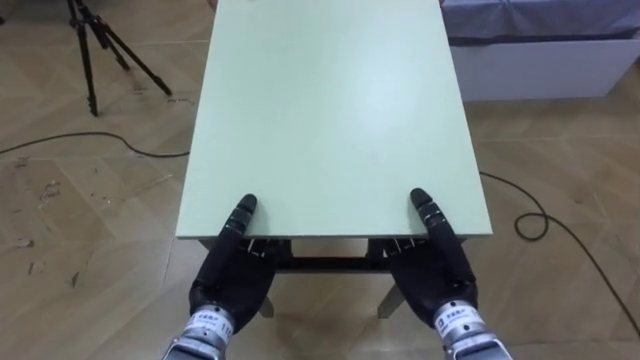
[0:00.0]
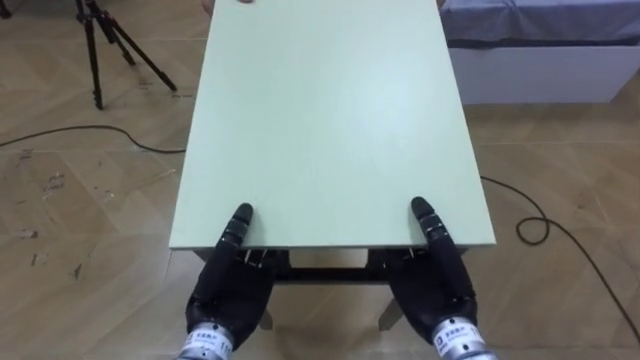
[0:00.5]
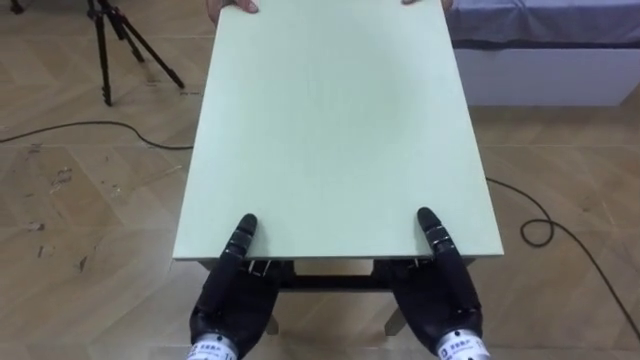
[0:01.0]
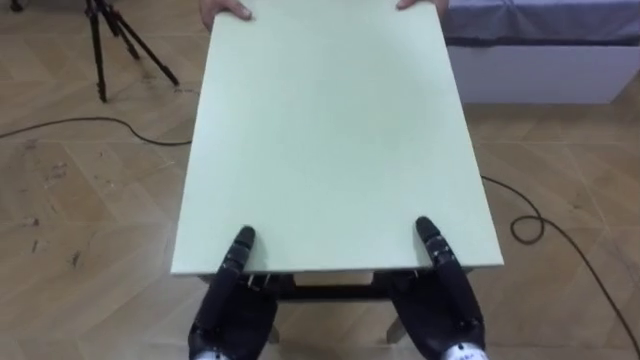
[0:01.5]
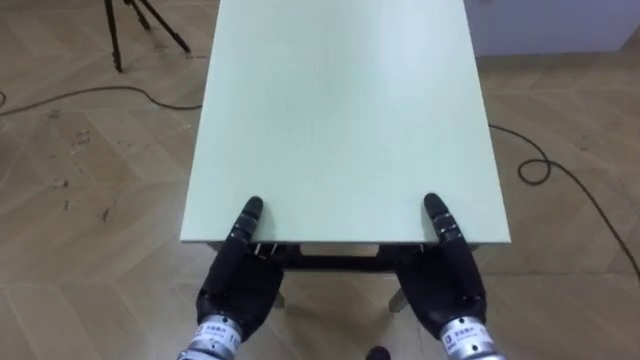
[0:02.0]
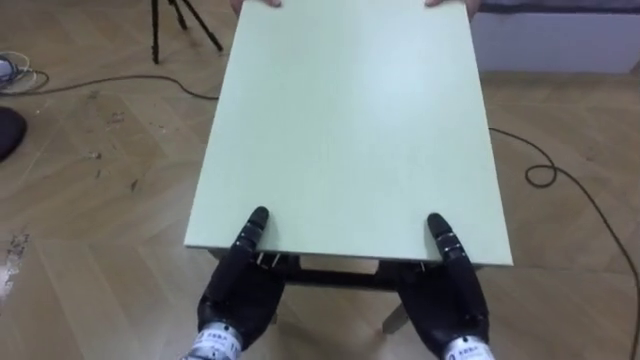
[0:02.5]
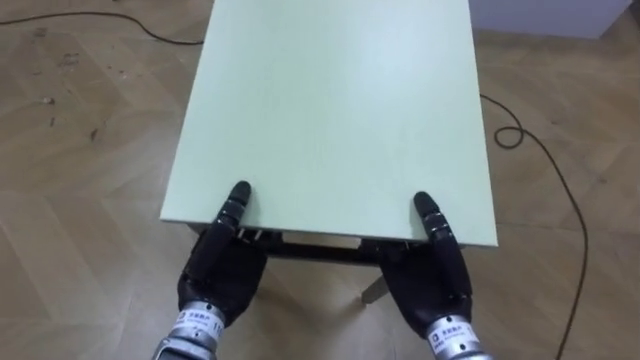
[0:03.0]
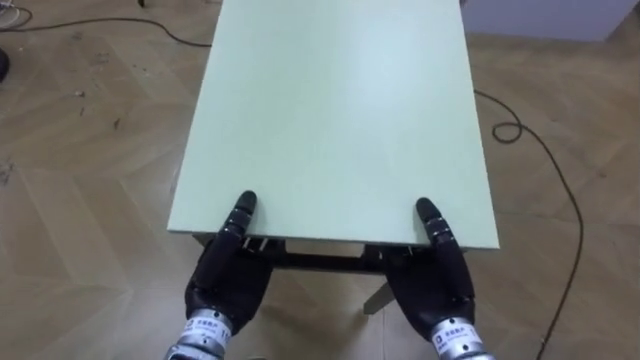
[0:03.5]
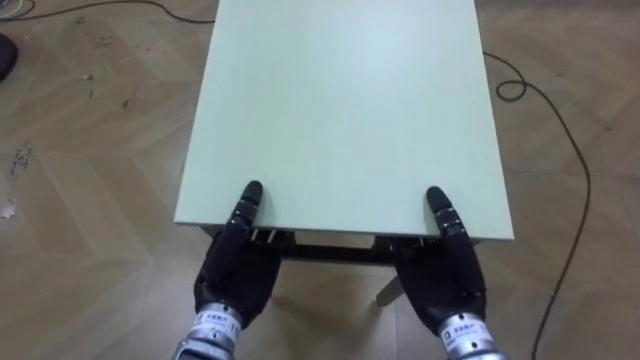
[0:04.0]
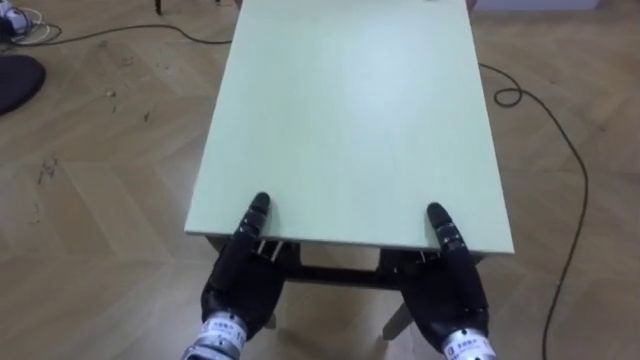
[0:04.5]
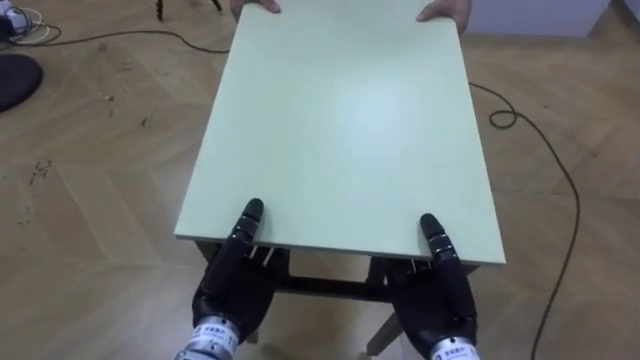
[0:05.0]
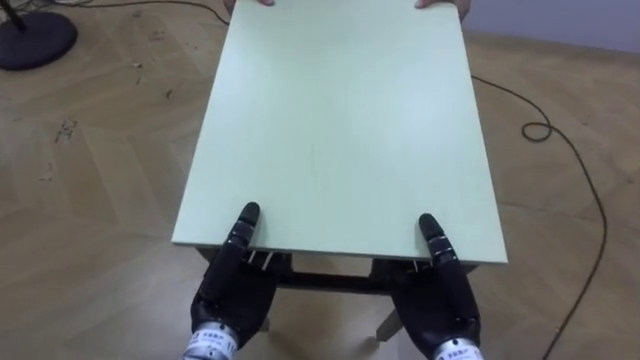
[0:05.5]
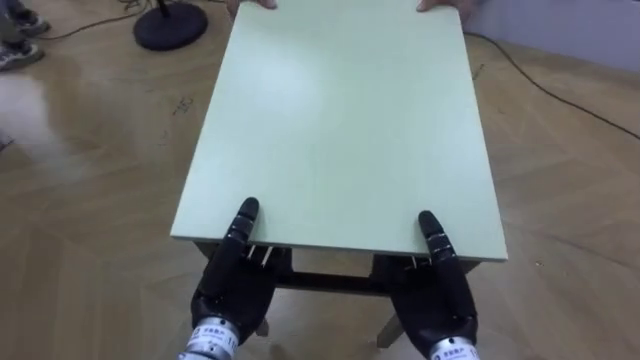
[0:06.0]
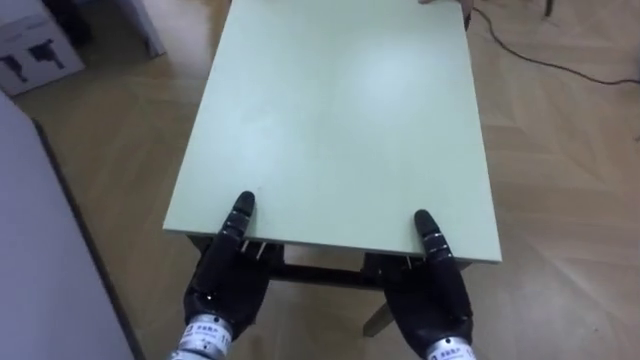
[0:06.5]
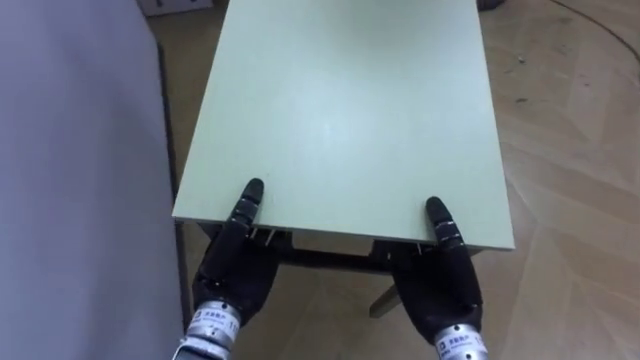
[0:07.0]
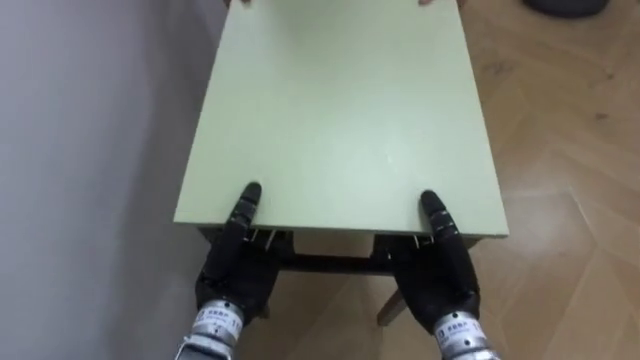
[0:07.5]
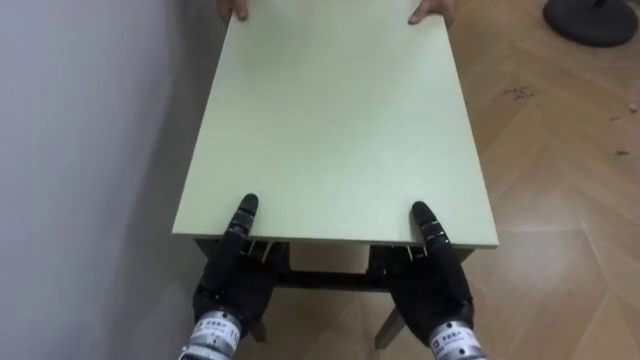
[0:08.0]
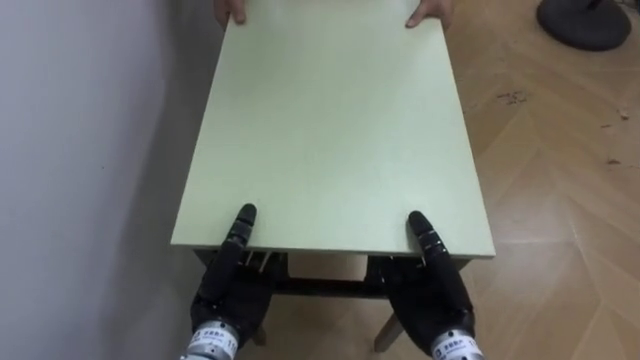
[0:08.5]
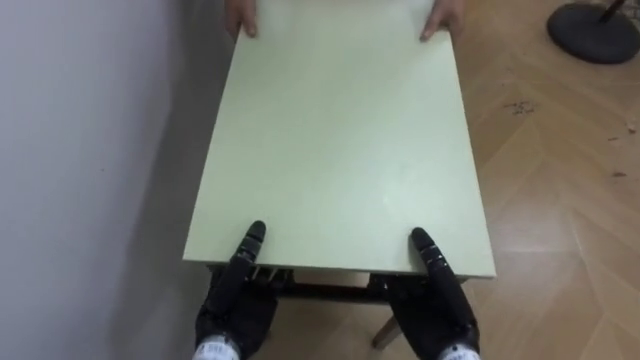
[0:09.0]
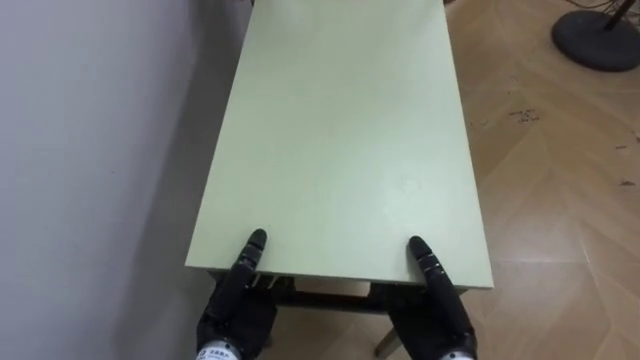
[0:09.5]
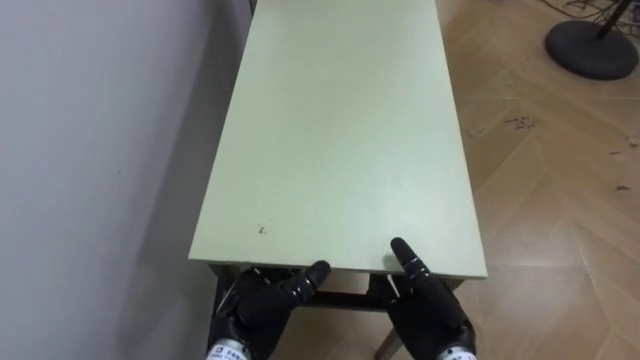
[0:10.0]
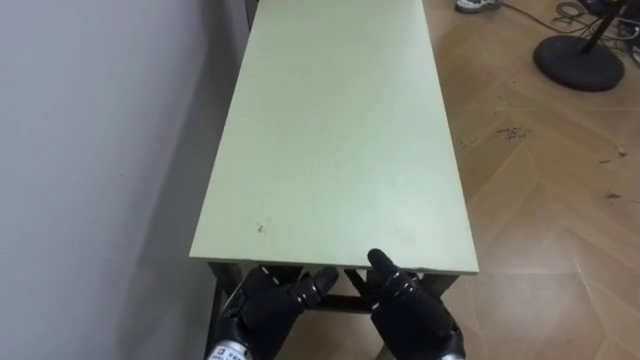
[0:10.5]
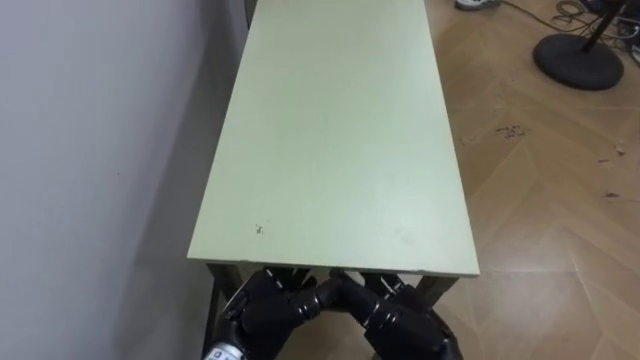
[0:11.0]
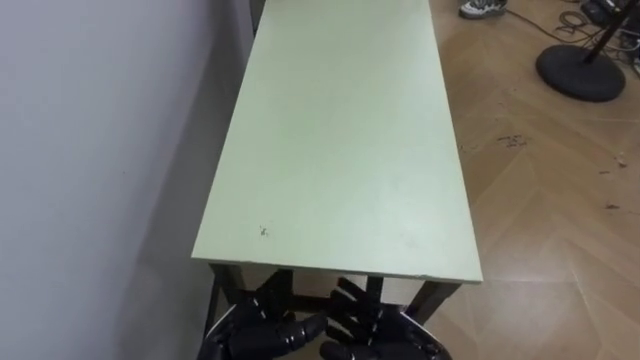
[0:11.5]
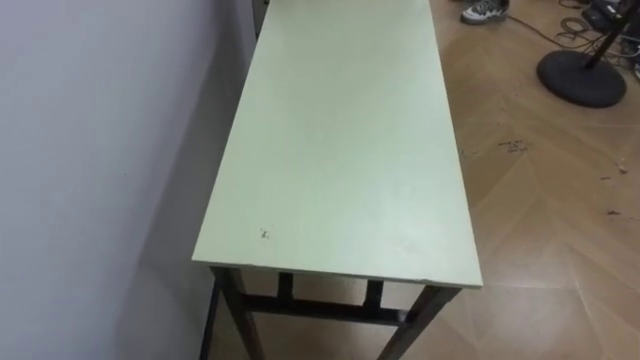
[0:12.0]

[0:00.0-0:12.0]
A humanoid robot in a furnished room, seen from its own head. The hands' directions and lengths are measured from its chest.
Task of the whole recording: Move the table to the back left with someone.
0:04.0 to 0:06.0: The robot faces about 25 degrees further to its left.
0:06.0 to 0:08.0: The robot's body swings roughly 65 degrees to its left.
0:08.0 to 0:10.0: The left hand opens up.

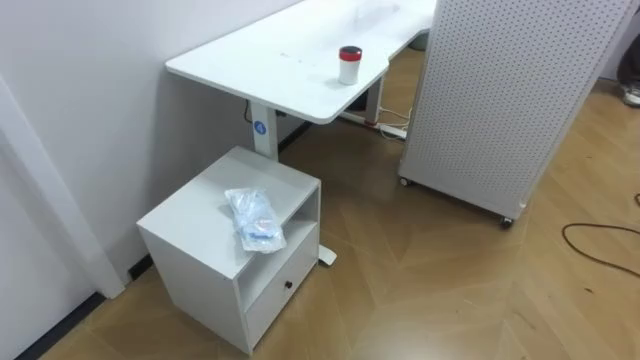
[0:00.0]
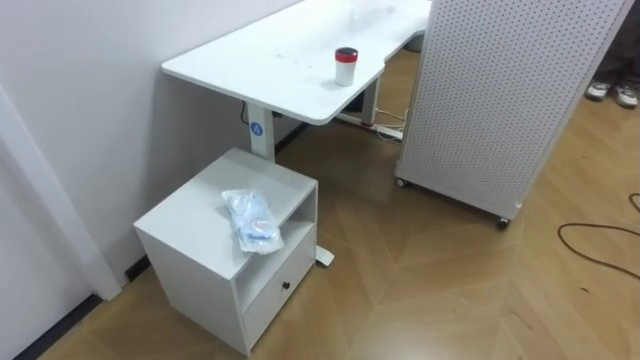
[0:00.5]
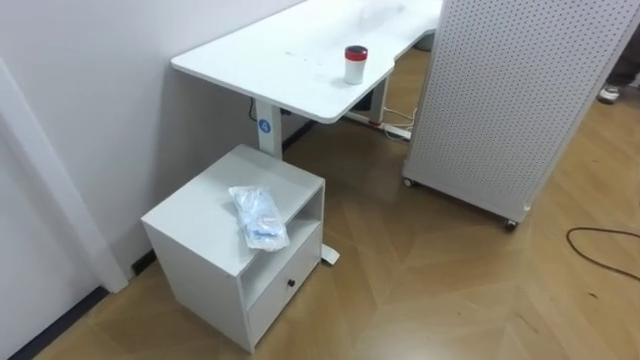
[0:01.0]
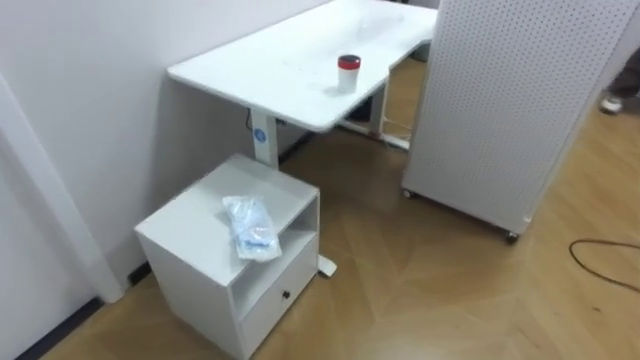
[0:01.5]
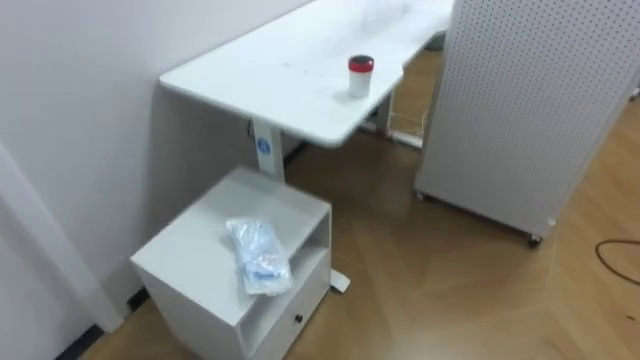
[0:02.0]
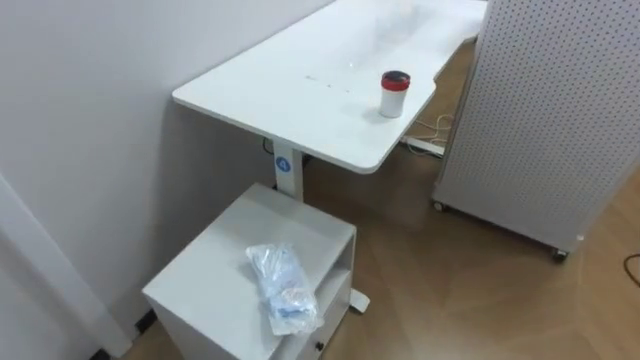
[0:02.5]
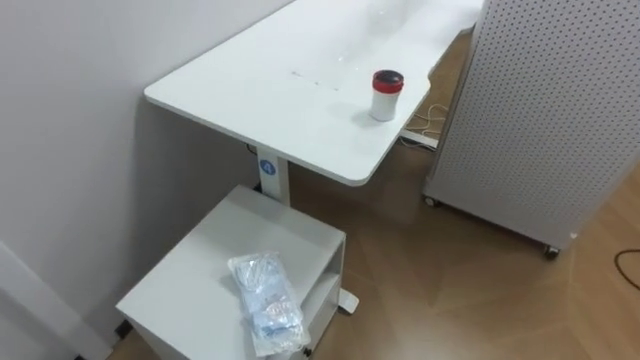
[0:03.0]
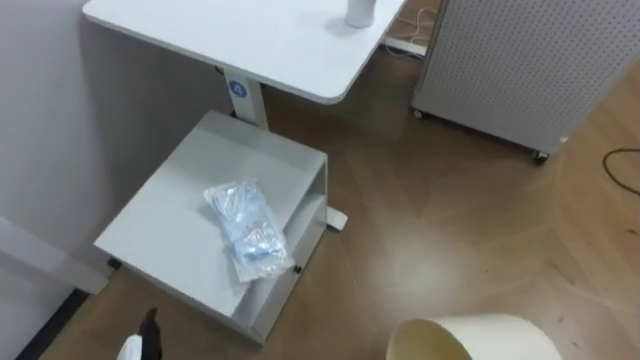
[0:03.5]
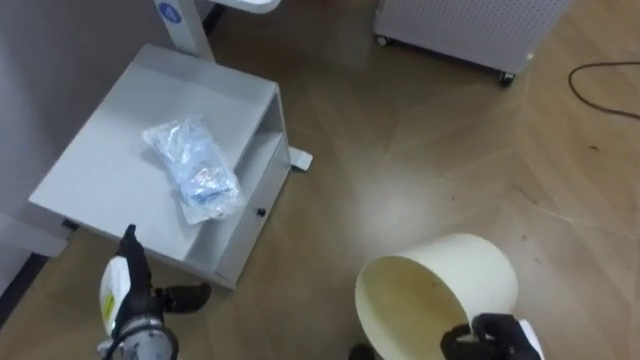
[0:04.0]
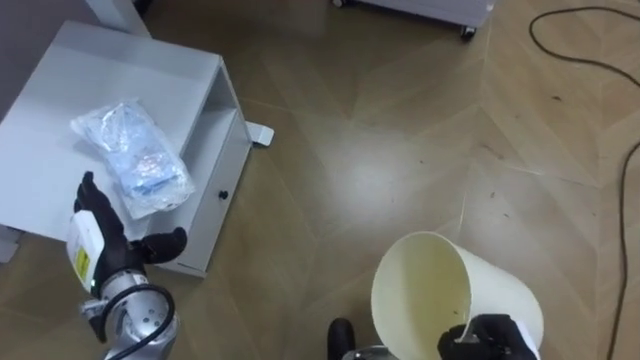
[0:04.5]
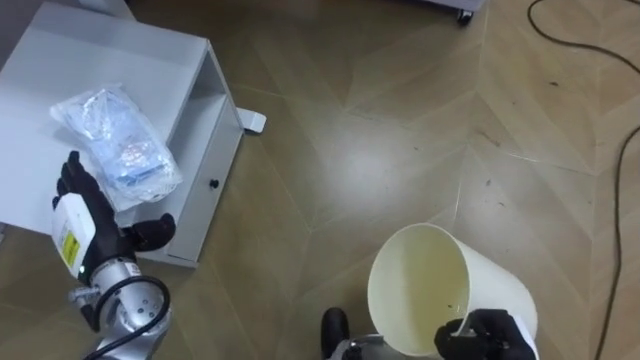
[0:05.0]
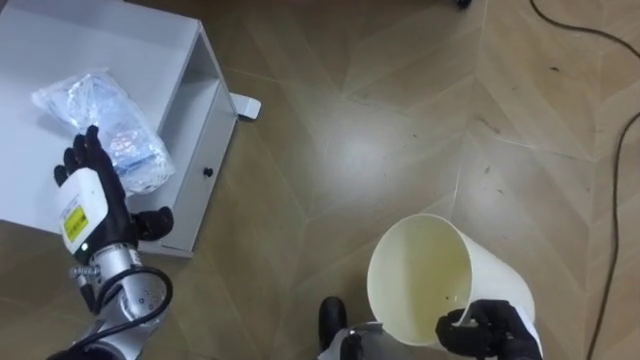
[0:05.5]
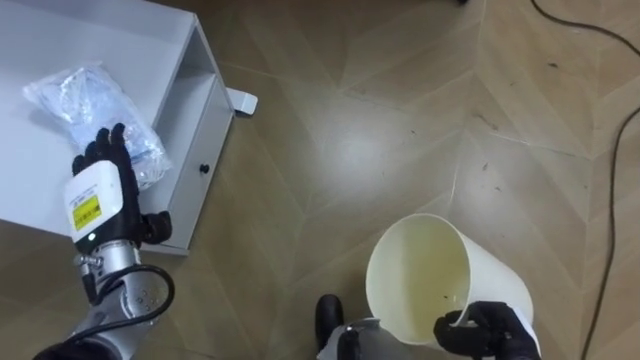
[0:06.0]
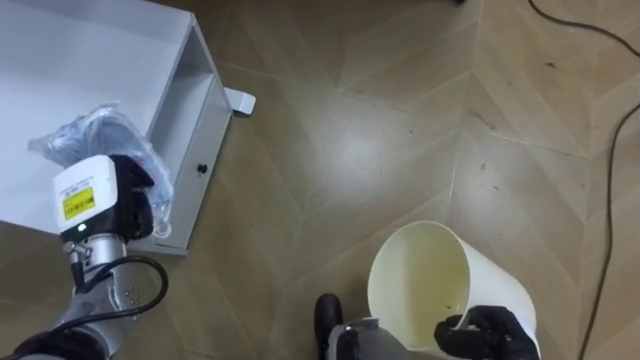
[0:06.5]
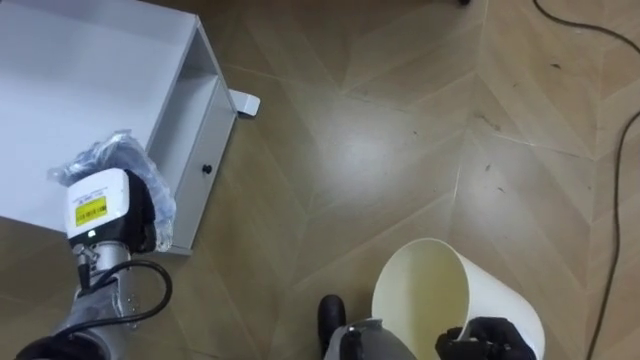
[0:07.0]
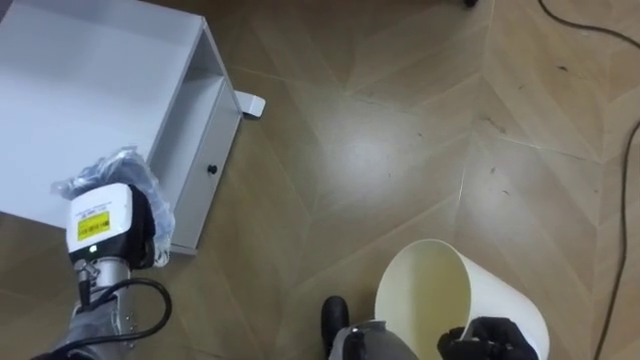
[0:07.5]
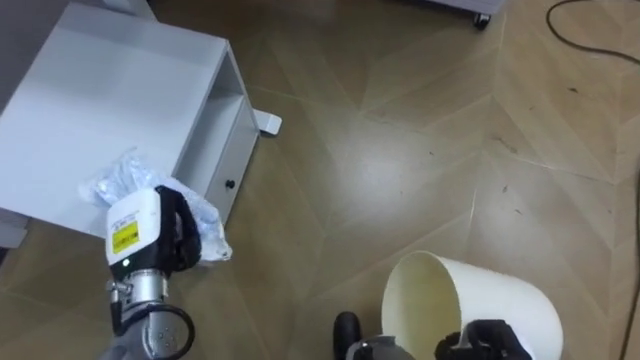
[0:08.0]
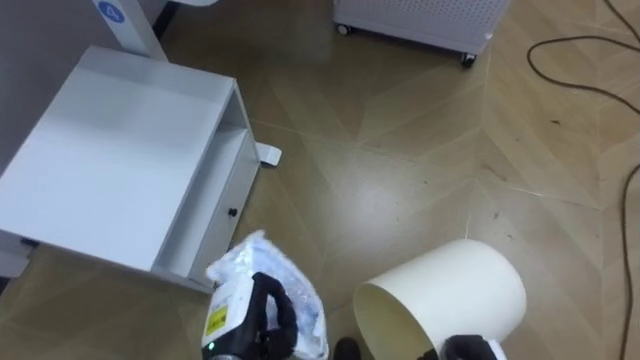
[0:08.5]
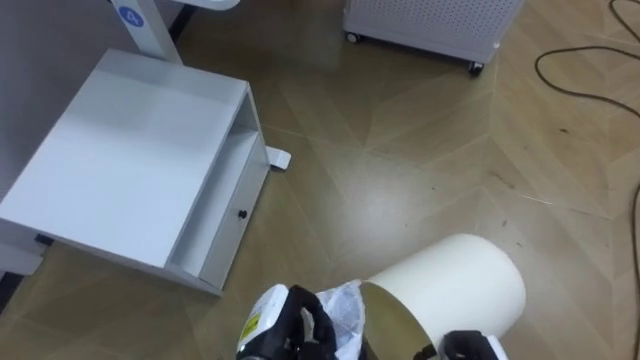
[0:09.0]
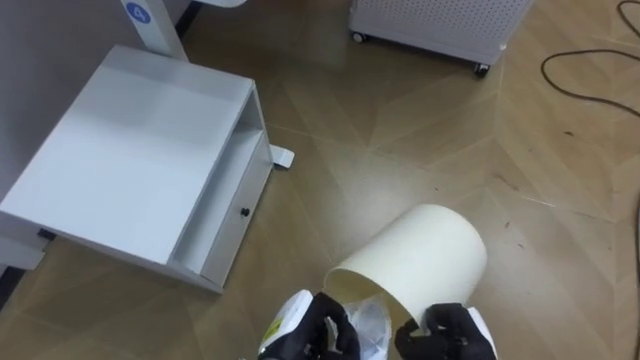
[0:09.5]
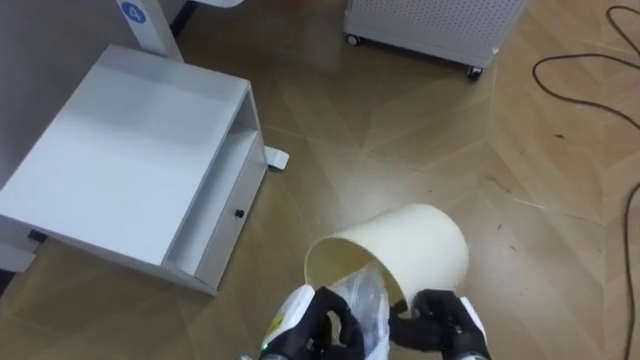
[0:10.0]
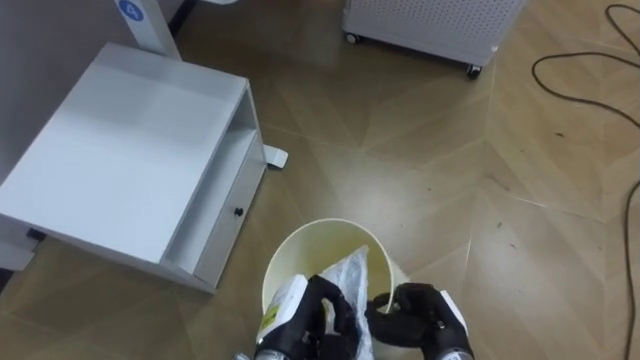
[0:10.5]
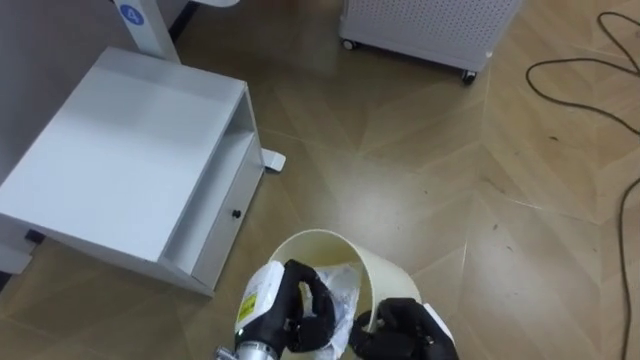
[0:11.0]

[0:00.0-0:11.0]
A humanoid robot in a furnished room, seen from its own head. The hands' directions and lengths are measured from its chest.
Task of the whole recording: Pick up the light blue package, the candy box, and the dark blue package separately, and put them into the trash can held in your right hand.
0:05.5 to 0:07.5: The left hand closes up.
0:07.5 to 0:09.0: The left hand goes some 25 cm to the right, downward and backward.
